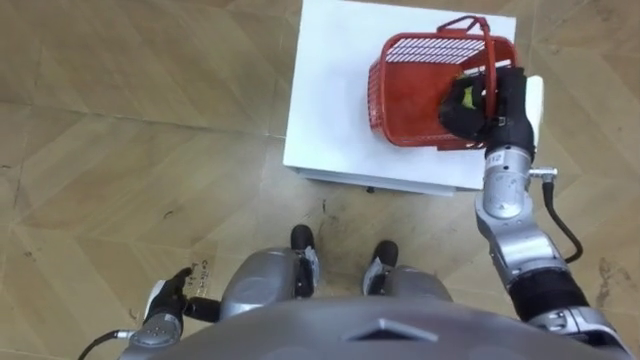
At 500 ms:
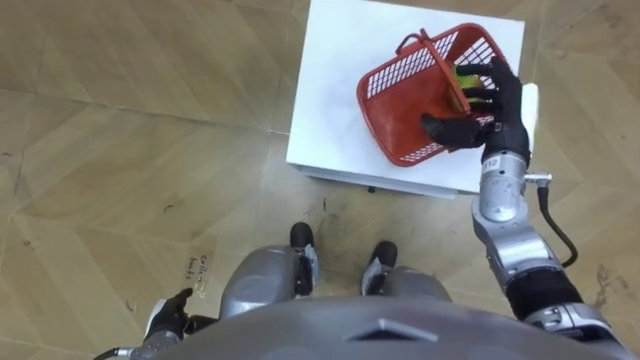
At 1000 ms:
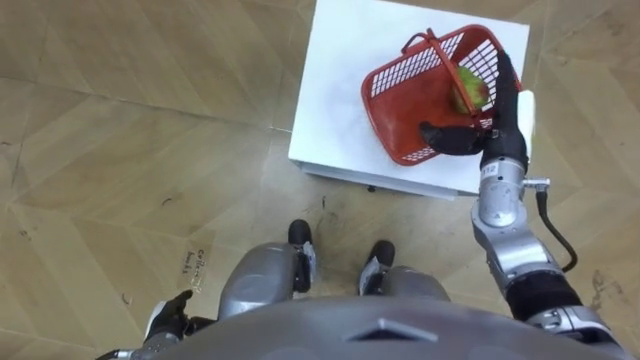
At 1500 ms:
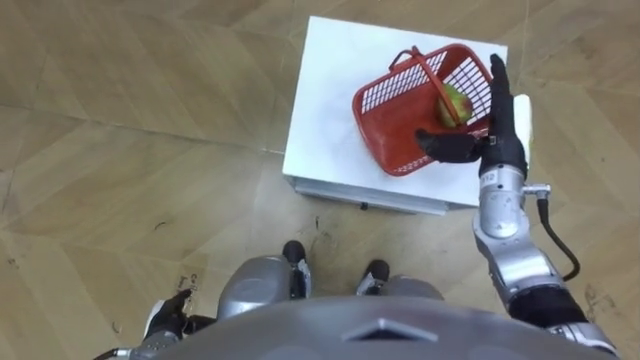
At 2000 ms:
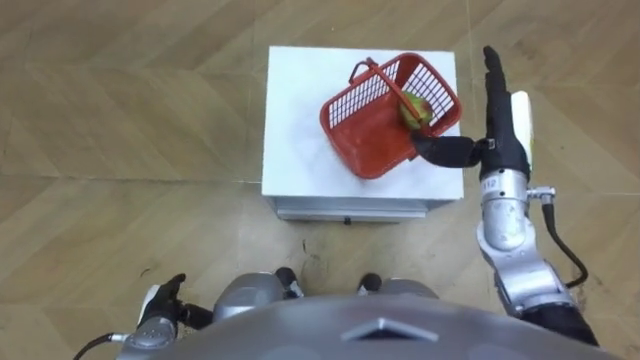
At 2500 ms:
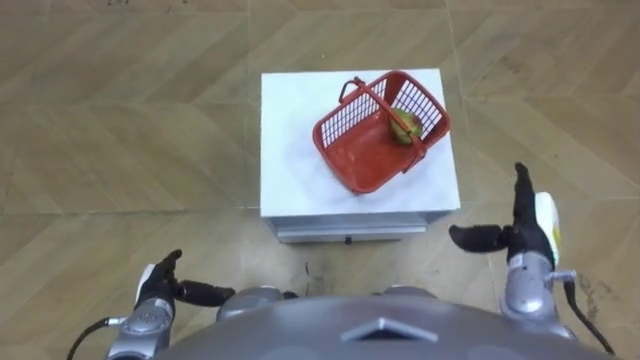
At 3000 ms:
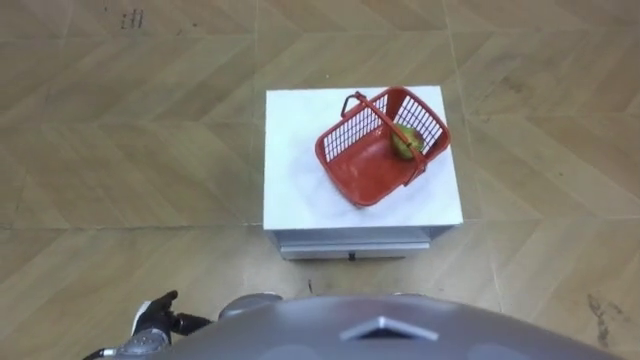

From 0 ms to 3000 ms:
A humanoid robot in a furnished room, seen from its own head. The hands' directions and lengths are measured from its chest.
Task of the whole recording: Pick up the fruit basket from the floor and place it on the cabinet.
From 0 ms to 1500 ms: The right hand opens its fingers.
From 1500 ms to 3000 ms: The right hand heads backward and downward, covering approximately 30 cm.

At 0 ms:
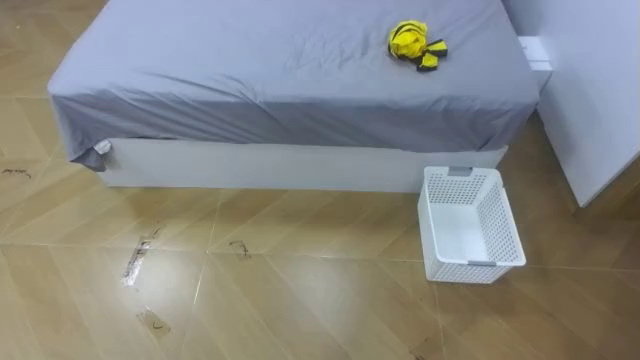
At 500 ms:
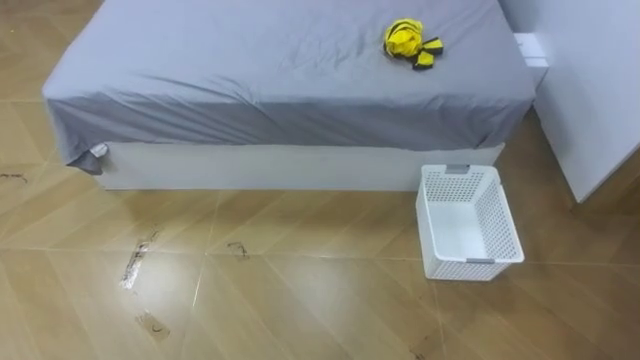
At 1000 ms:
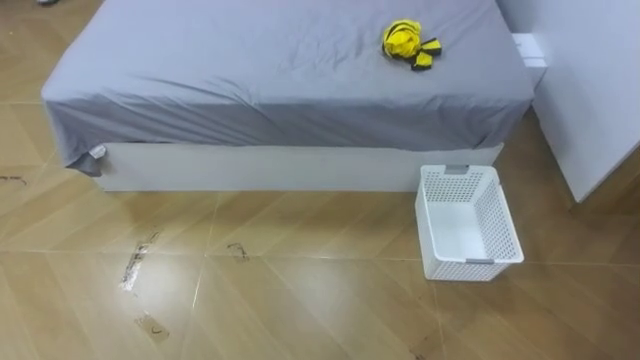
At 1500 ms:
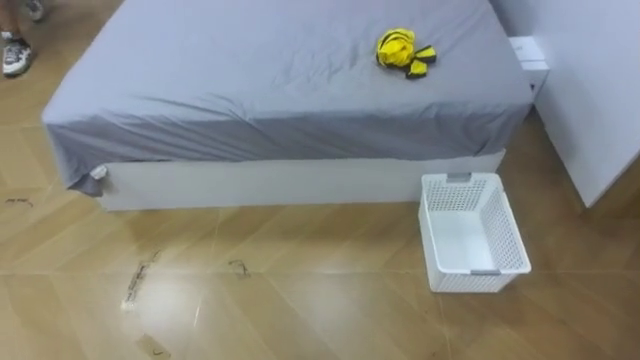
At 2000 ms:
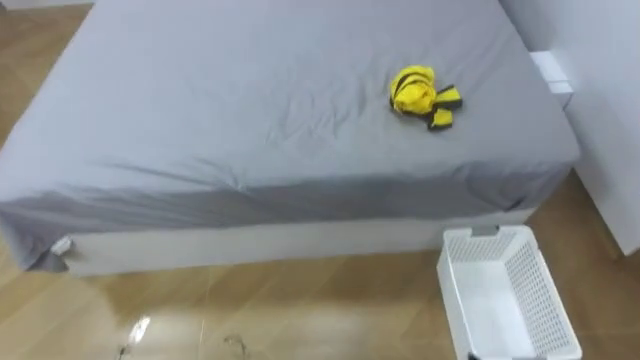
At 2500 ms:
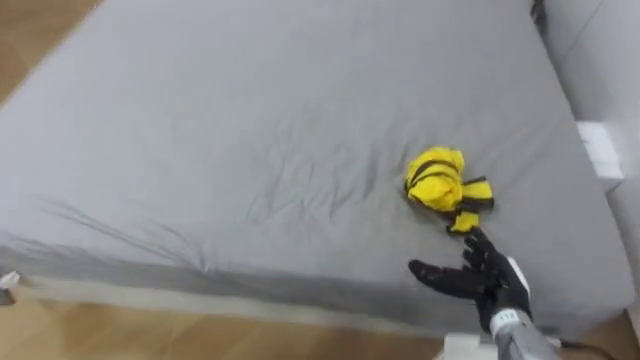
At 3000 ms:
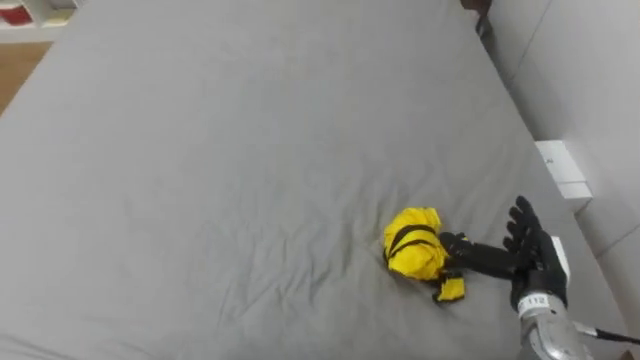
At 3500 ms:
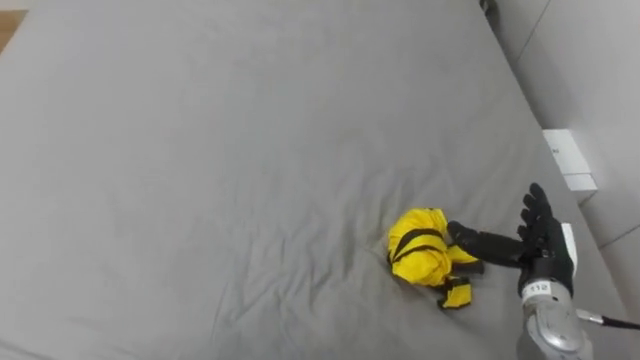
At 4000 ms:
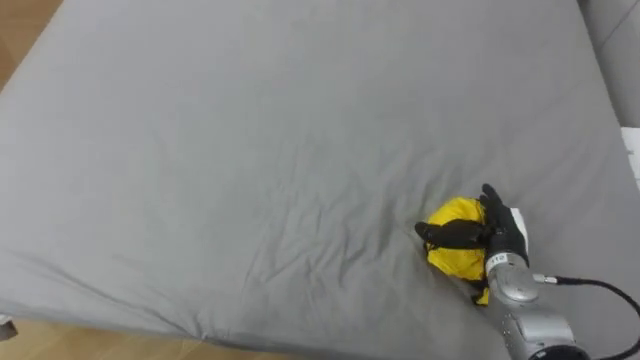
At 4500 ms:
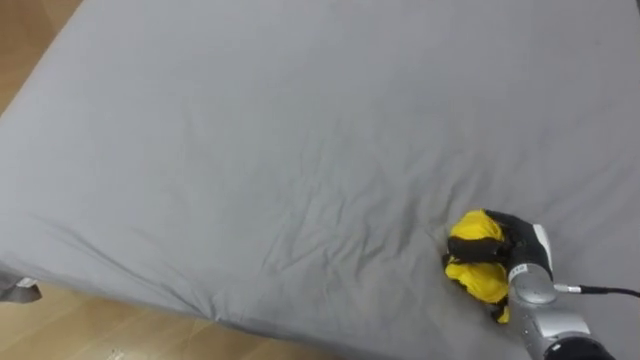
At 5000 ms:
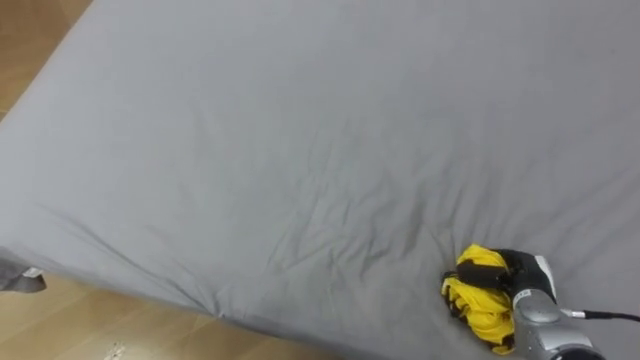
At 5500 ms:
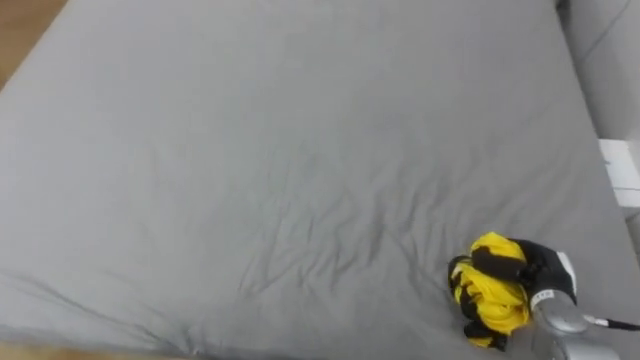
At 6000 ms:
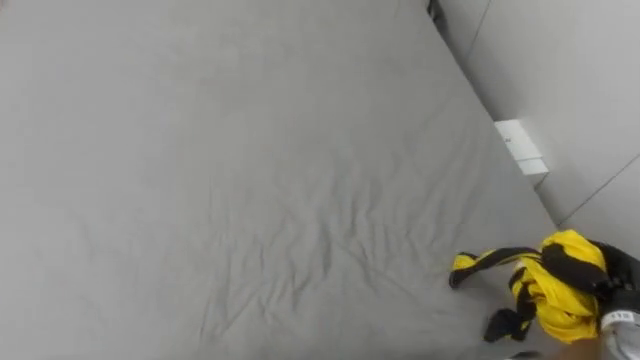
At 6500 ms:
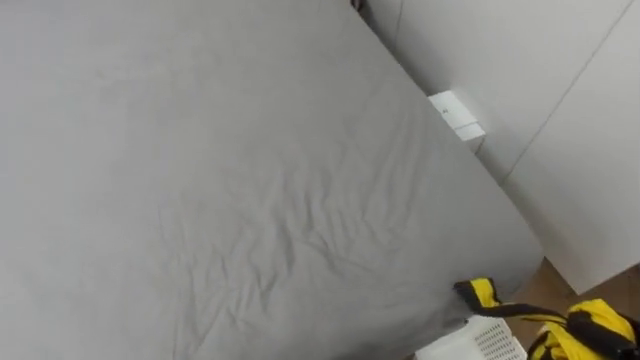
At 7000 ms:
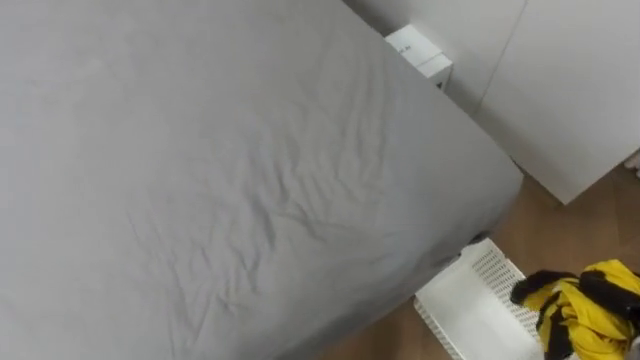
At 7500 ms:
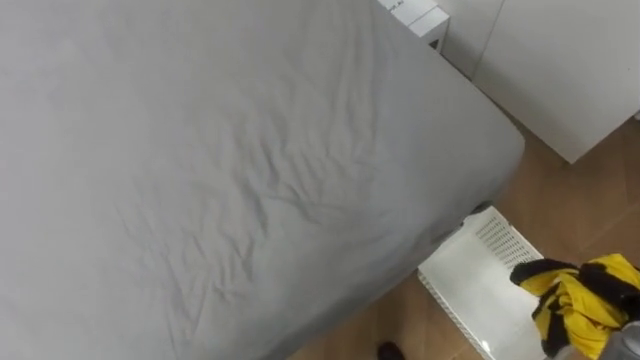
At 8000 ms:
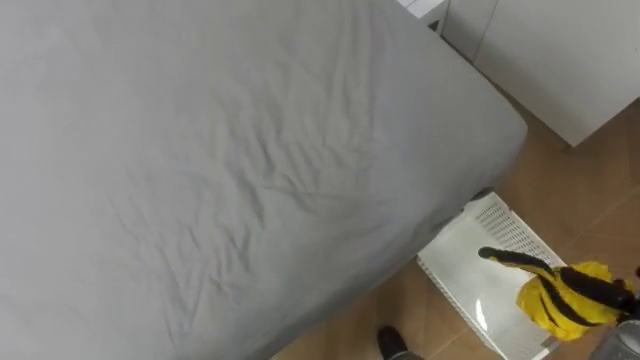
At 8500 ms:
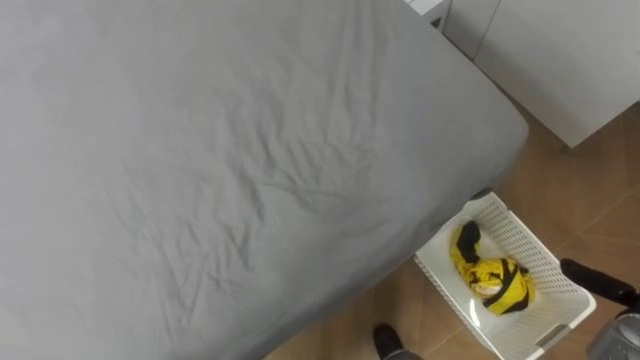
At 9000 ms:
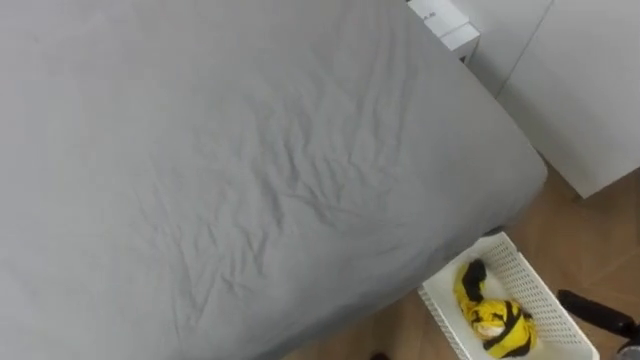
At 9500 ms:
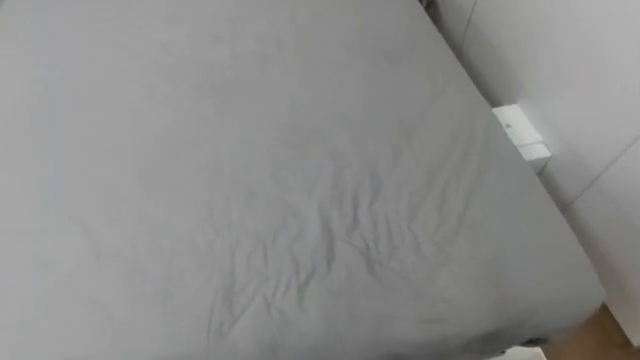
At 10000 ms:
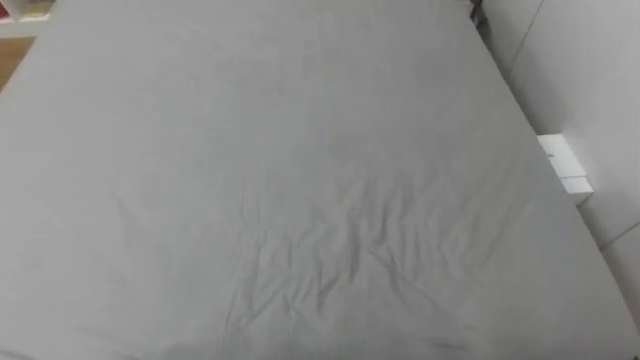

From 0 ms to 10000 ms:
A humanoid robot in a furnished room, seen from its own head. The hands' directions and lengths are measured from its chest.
Task of the whole recording: Pick up the yellow clothes on the bed and place them into the white basket on the right.
From 4000 ms to 6000 ms: The right hand moves to the right and backward, about 15 cm, and closes its fingers.
From 6000 ms to 8000 ms: The robot turns to its right by roughly 20 degrees.
From 8000 ms to 10000 ms: The robot's body swings about 20 degrees to its left.

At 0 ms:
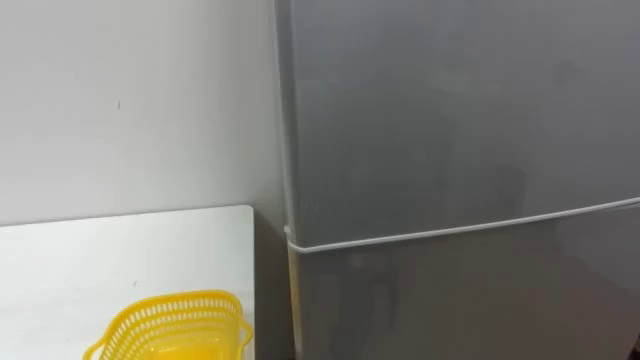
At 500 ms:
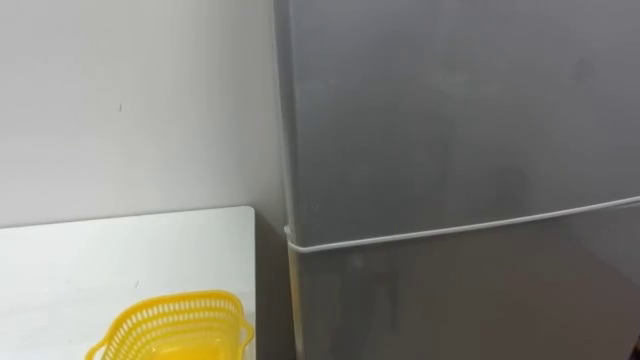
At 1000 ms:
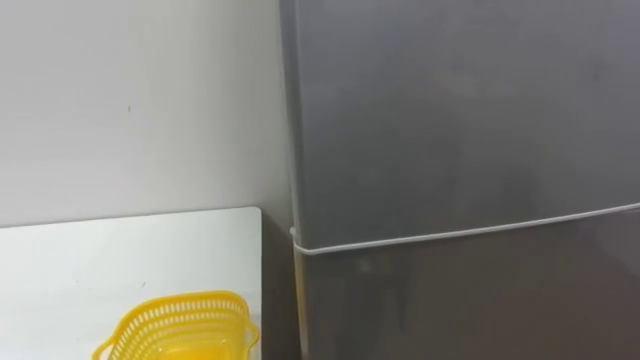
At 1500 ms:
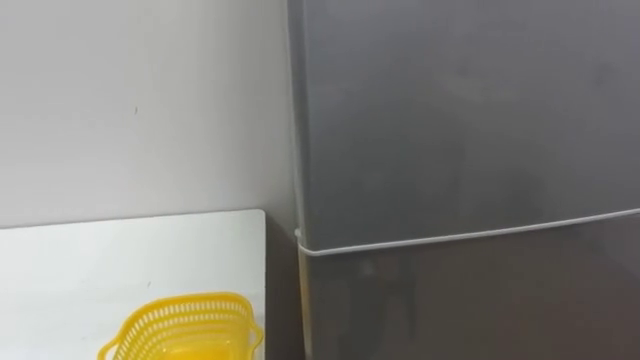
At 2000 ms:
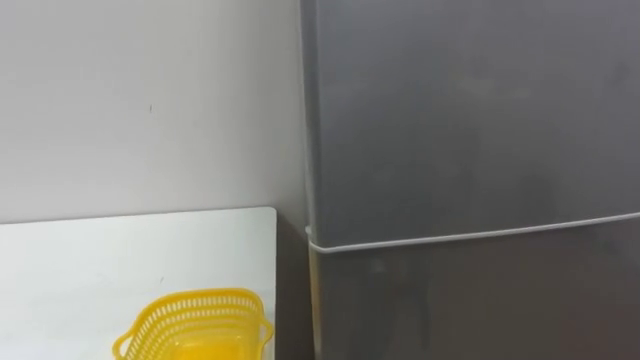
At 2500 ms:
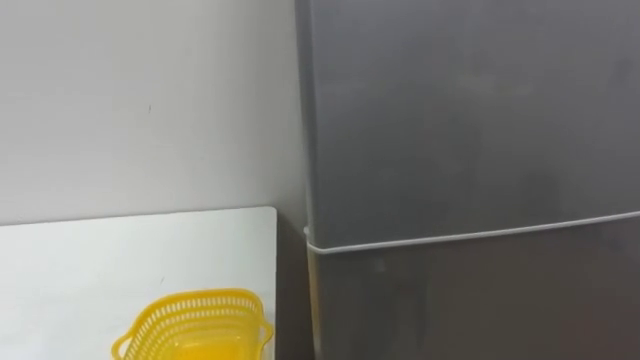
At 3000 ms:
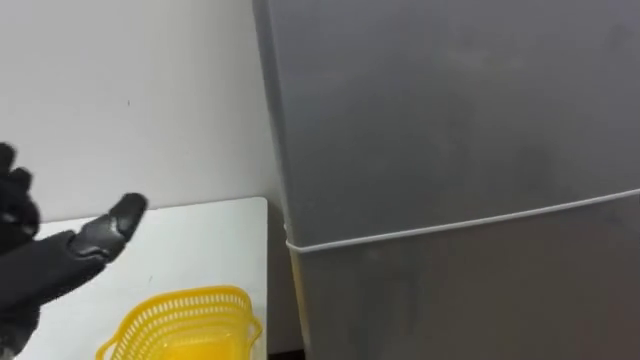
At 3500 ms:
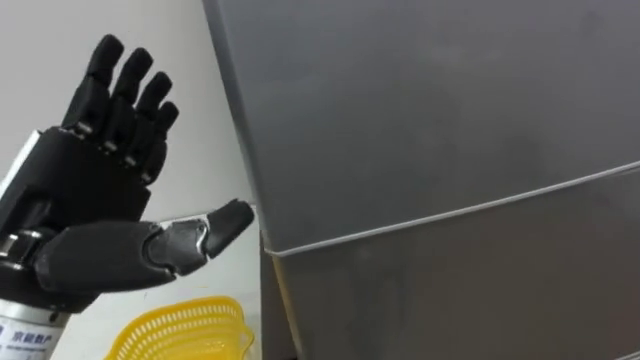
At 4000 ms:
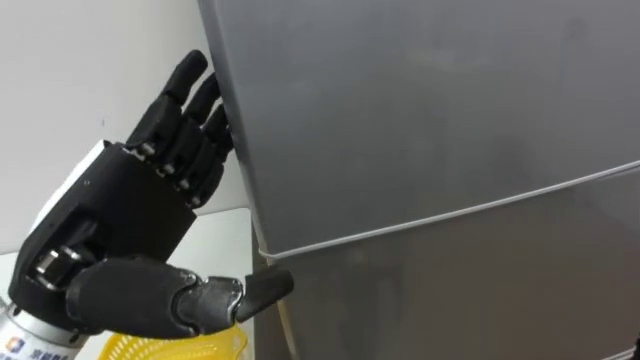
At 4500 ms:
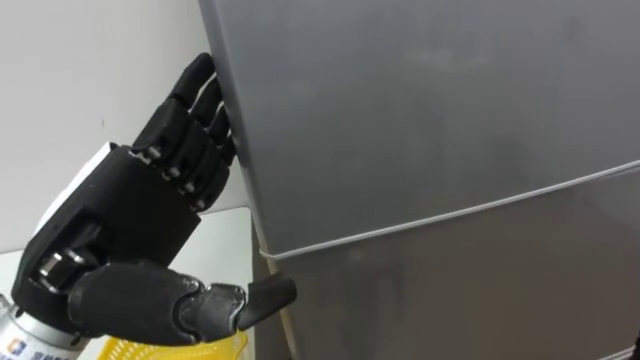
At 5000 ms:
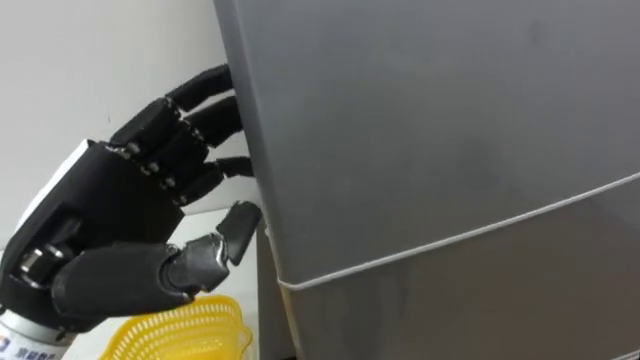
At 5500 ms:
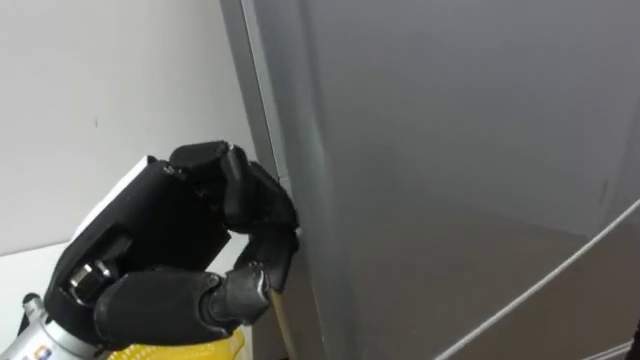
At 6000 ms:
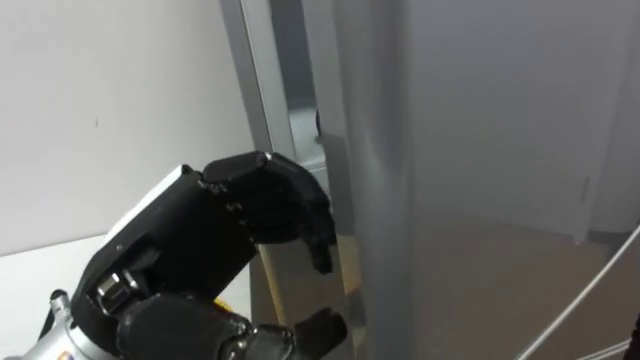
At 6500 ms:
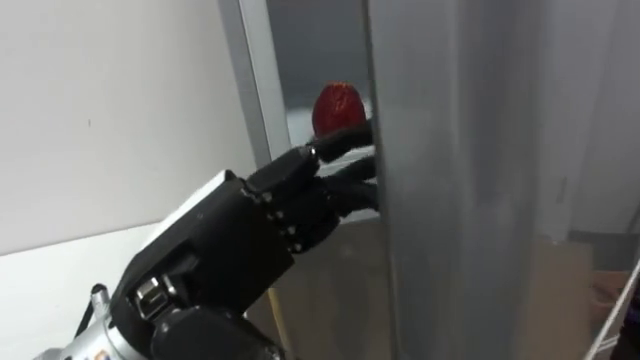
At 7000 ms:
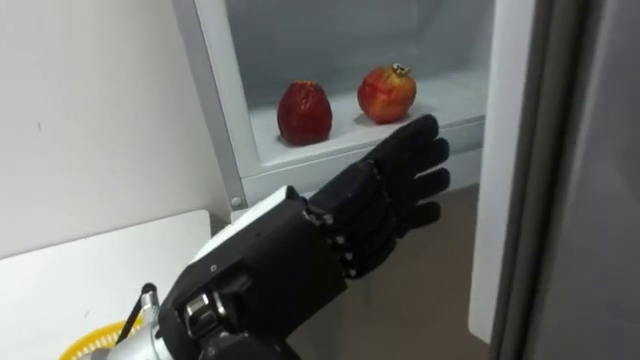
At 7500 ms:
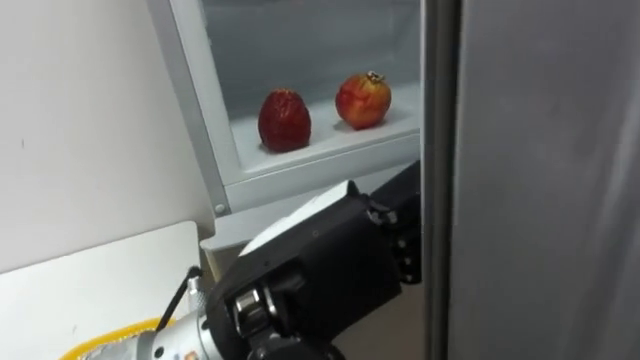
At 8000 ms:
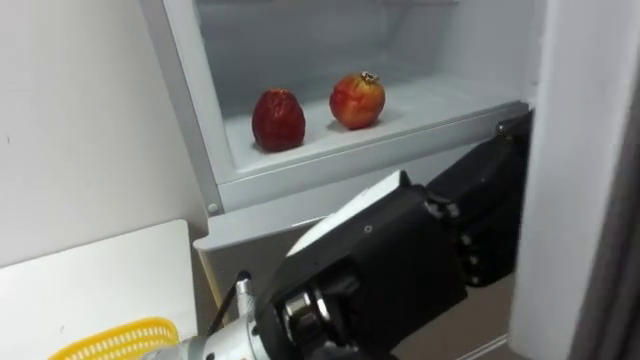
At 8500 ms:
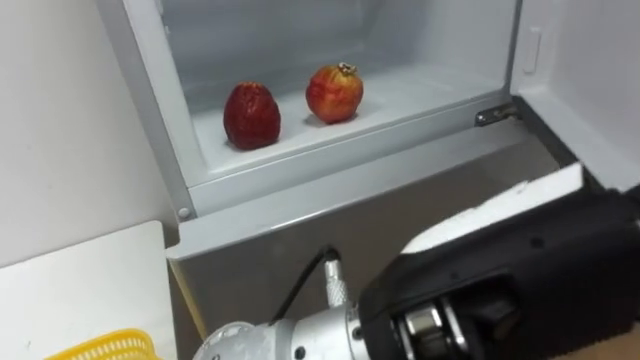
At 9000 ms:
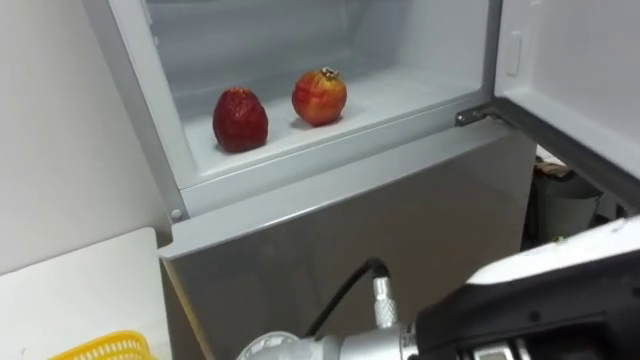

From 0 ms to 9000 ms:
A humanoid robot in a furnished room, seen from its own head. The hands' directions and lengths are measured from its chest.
Task of the whole recording: Open the refrigerator door, take out the apple and the pomegranate, place them in the fruit basket on the left, and close the refrigerator door.
From 4500 ms to 7000 ms: The left hand is displaced to the right by roughly 10 cm, and closes, then reopens.
From 7000 ms to 9000 ms: The left hand heads to the right and backward, covering some 15 cm.
